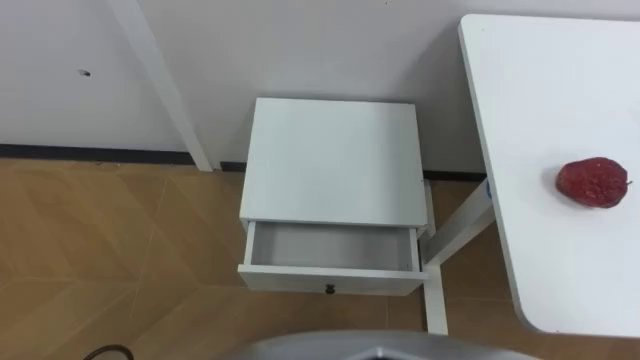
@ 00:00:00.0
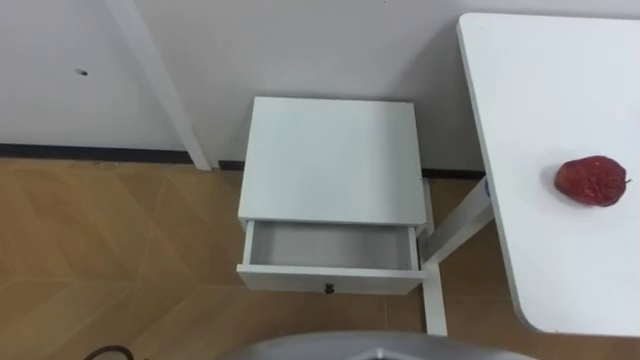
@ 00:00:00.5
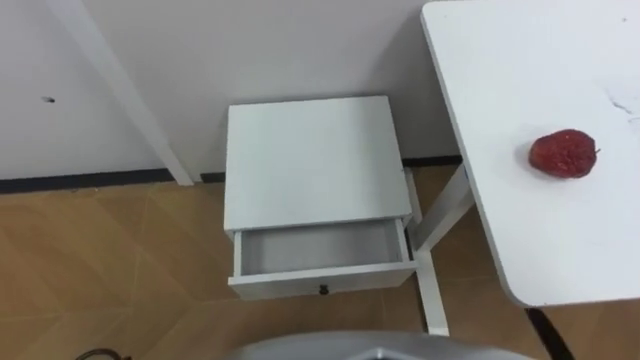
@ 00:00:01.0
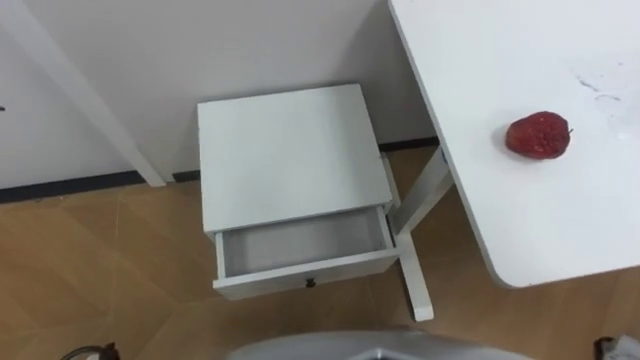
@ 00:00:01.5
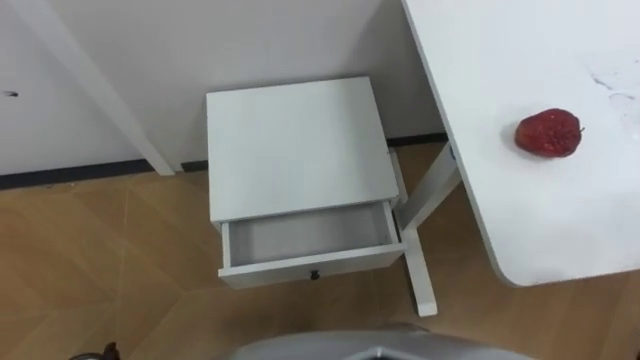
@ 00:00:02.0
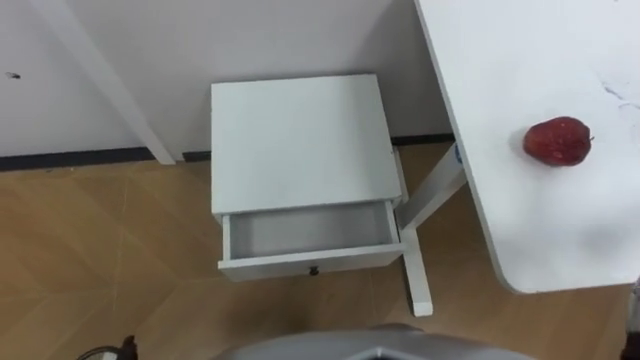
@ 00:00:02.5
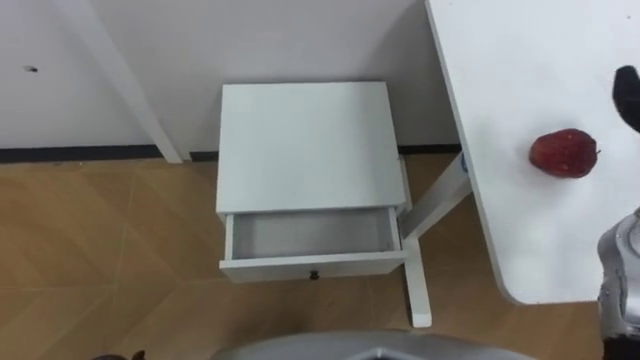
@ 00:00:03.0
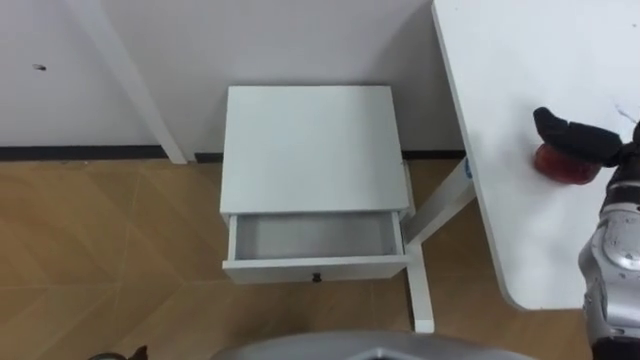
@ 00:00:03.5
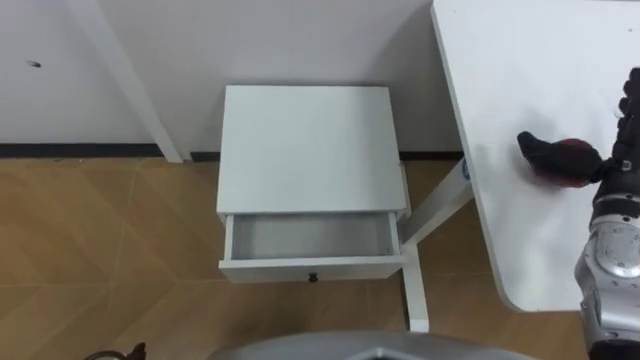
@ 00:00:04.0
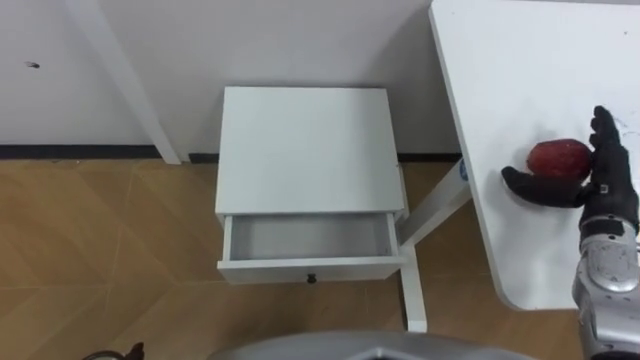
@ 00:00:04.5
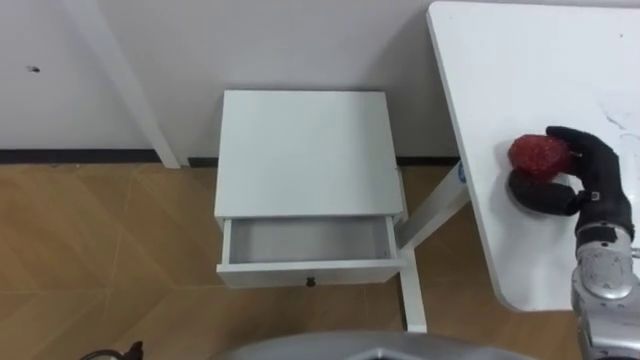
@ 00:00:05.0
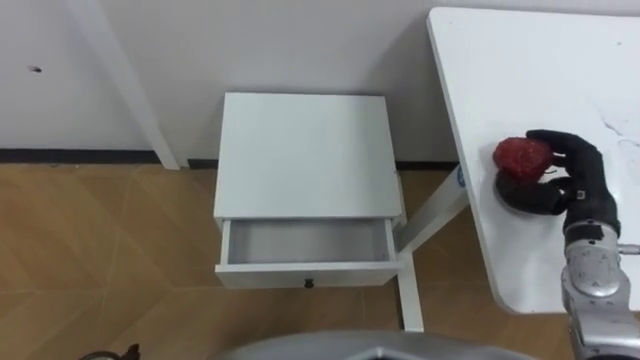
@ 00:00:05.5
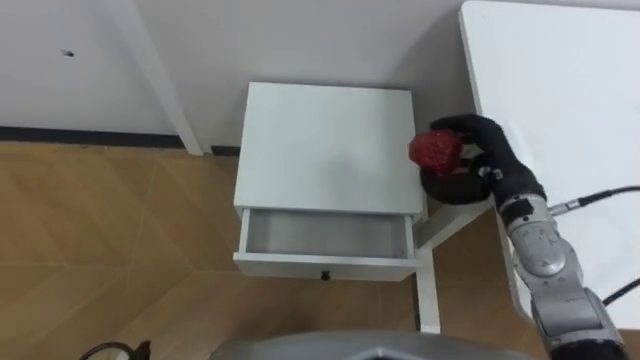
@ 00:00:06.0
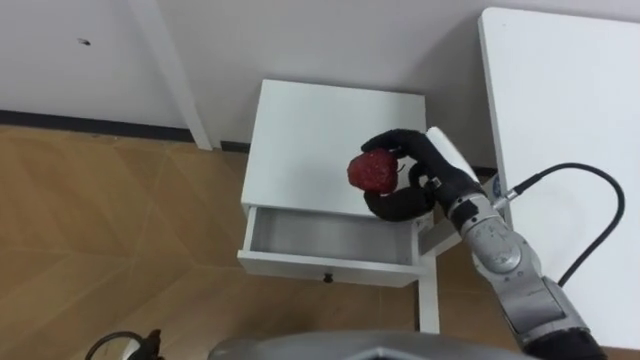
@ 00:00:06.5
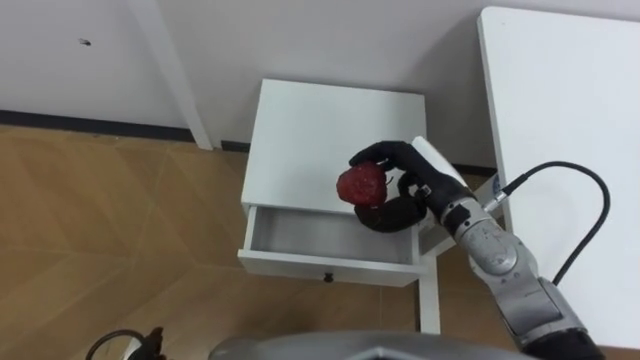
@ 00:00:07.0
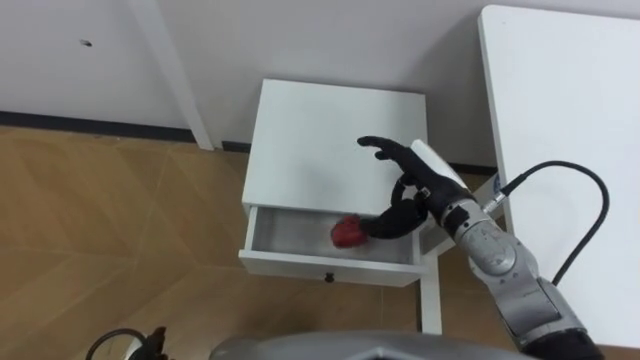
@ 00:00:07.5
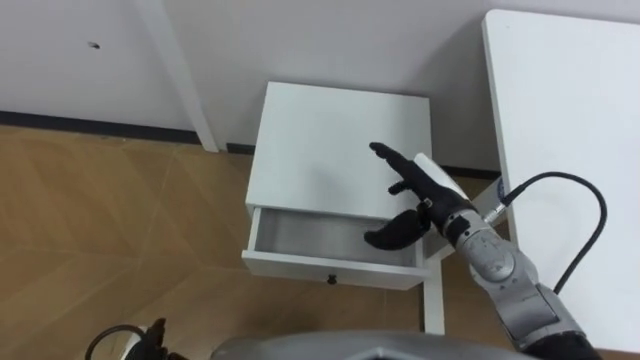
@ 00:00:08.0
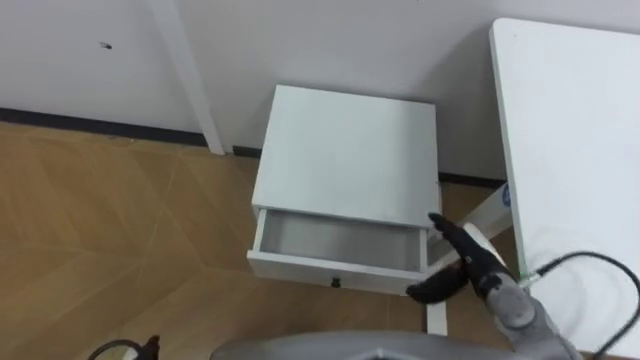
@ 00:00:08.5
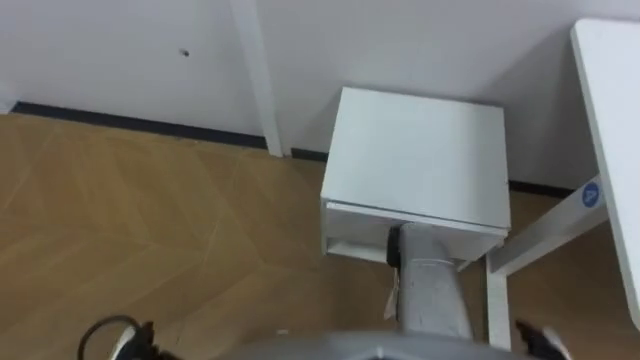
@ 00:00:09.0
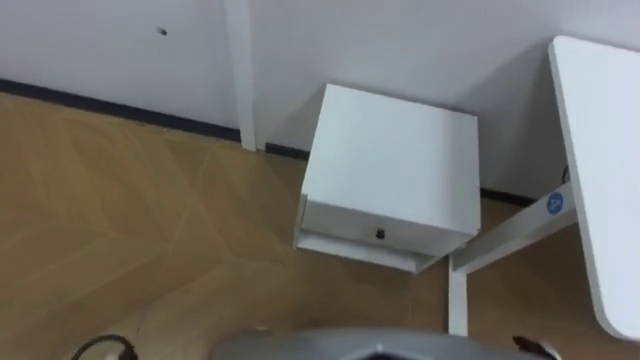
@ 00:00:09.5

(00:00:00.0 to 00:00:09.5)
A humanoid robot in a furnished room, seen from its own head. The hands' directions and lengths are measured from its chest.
Task of the whole recording: Pick up the apple from the table, put it in the drawer, and close the drawer with leg.
00:00:04.0 - 00:00:05.5: The right hand changes place by about 5 cm, and closes up.
00:00:05.5 - 00:00:07.5: The right hand moves to the left, approximately 20 cm.

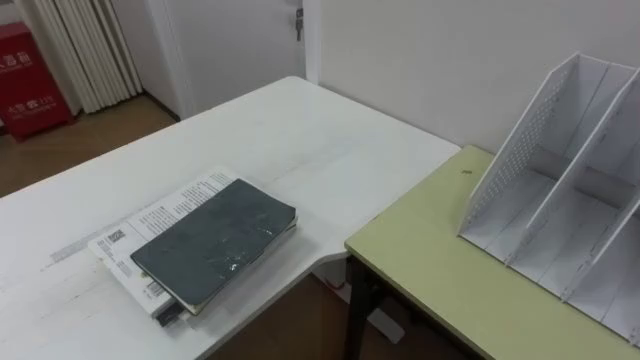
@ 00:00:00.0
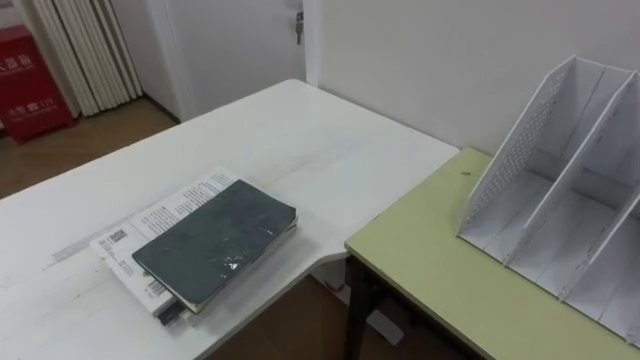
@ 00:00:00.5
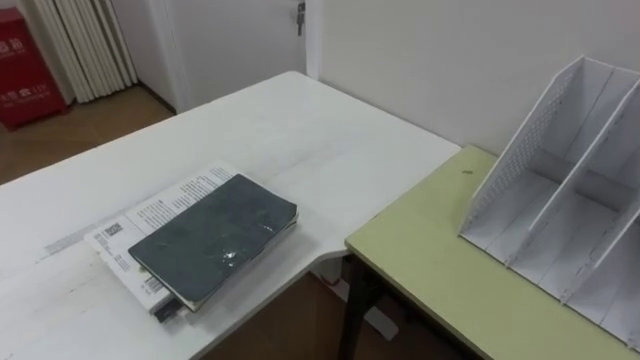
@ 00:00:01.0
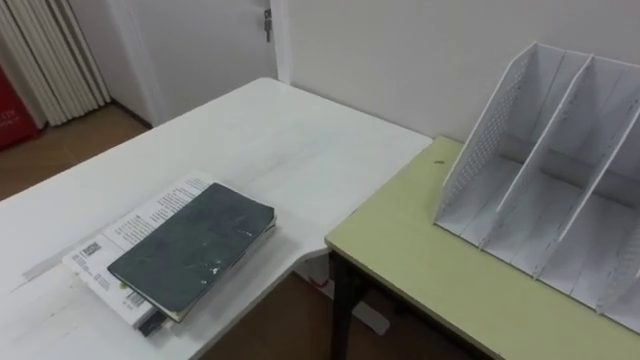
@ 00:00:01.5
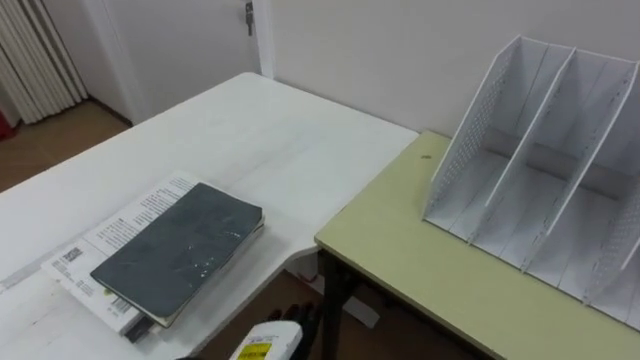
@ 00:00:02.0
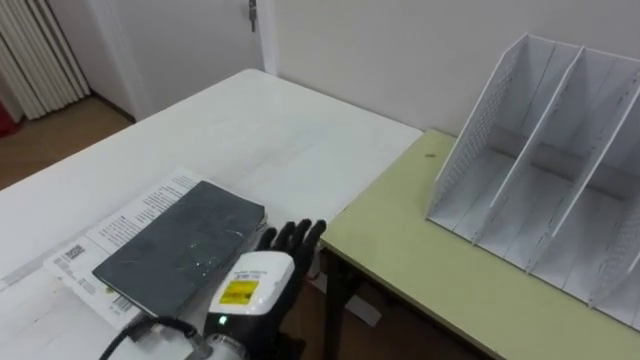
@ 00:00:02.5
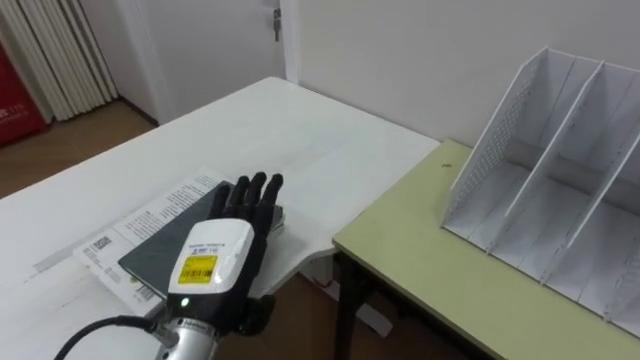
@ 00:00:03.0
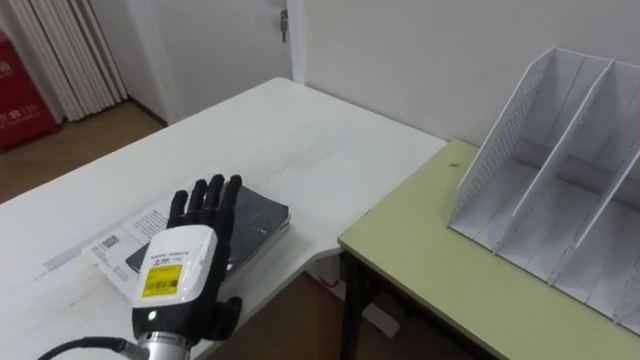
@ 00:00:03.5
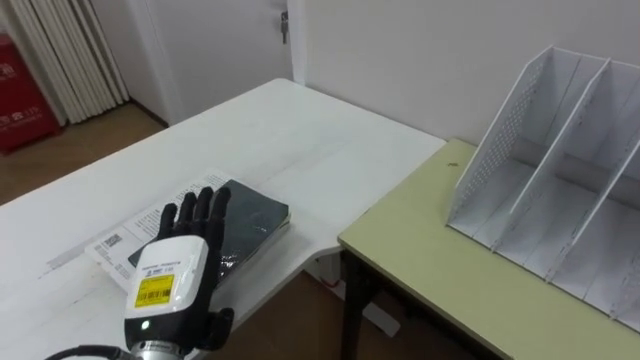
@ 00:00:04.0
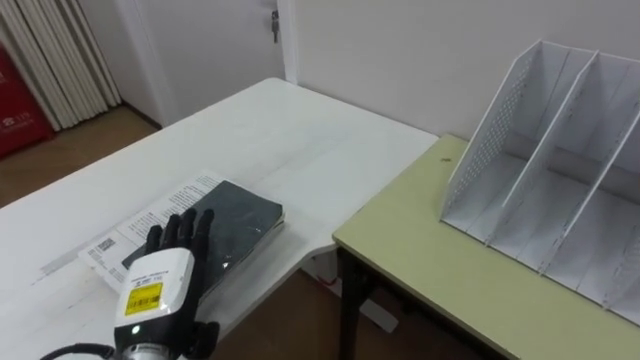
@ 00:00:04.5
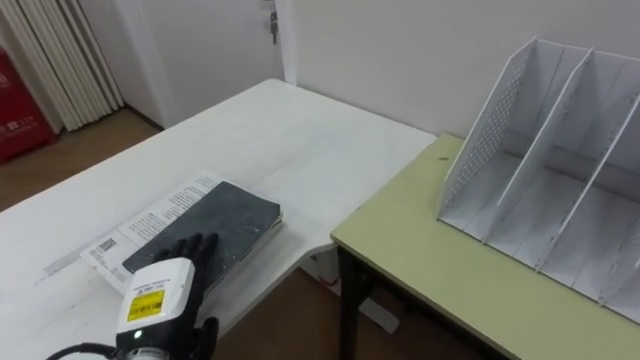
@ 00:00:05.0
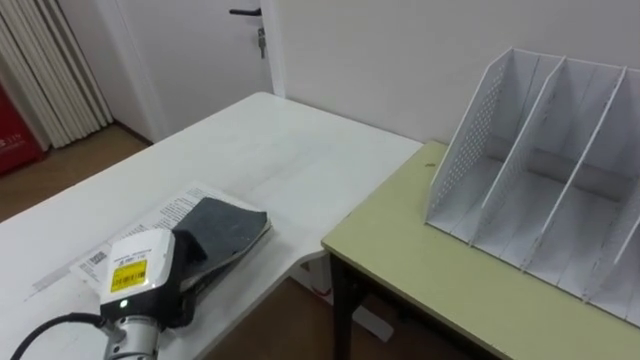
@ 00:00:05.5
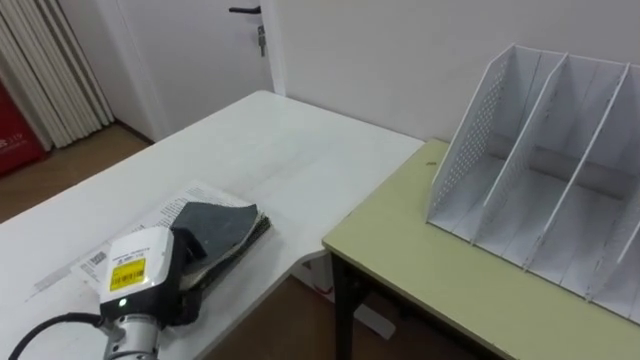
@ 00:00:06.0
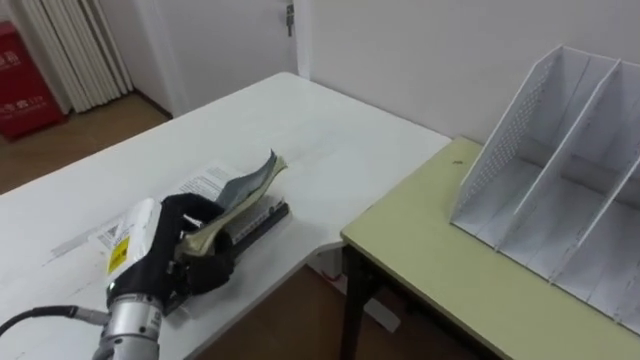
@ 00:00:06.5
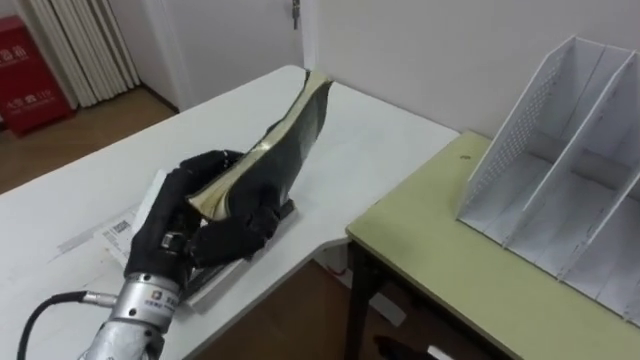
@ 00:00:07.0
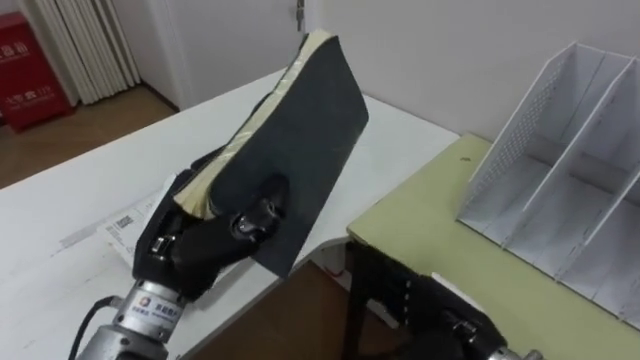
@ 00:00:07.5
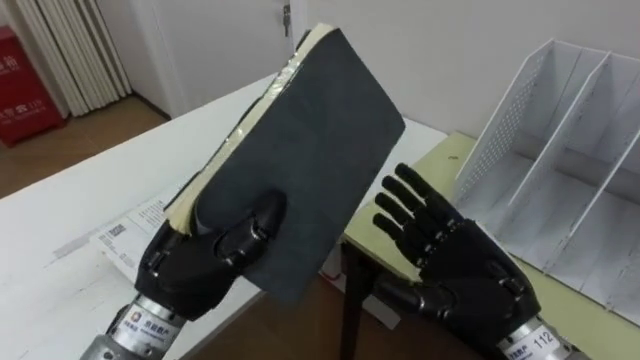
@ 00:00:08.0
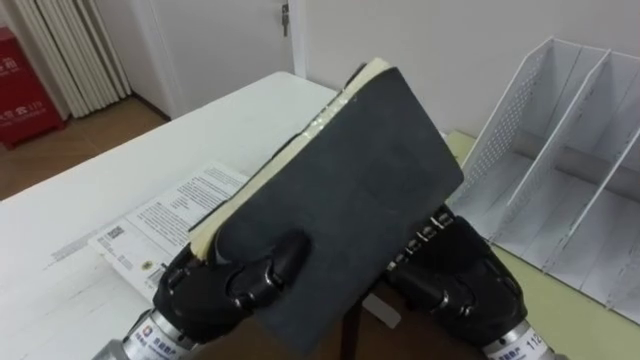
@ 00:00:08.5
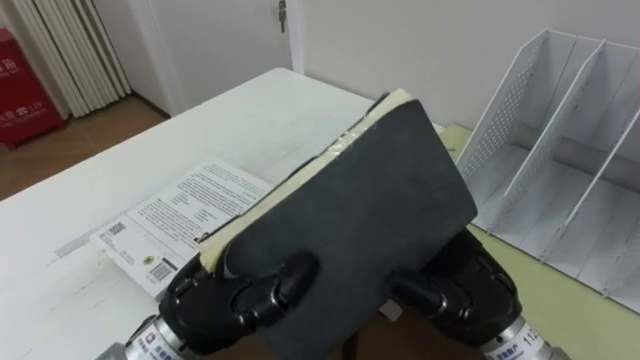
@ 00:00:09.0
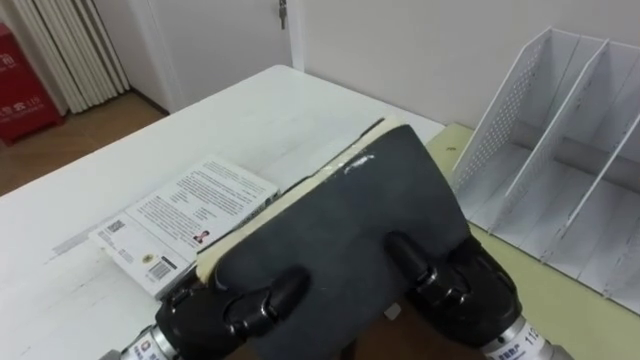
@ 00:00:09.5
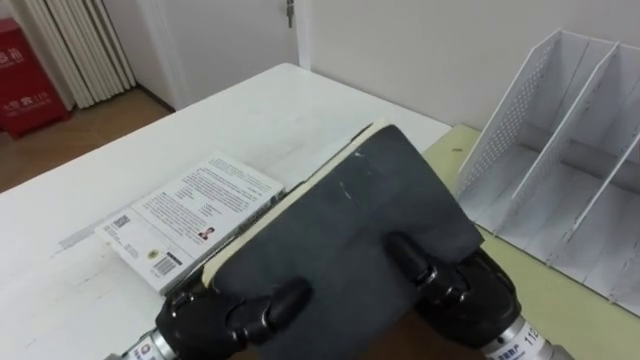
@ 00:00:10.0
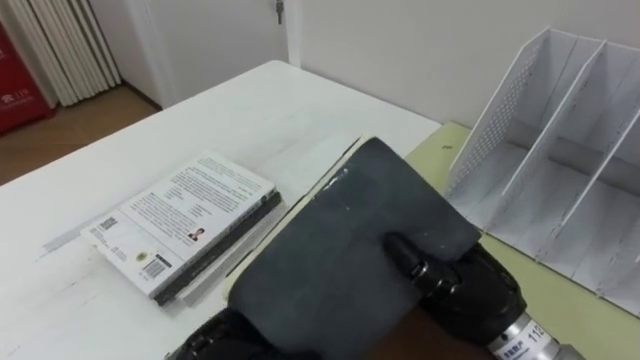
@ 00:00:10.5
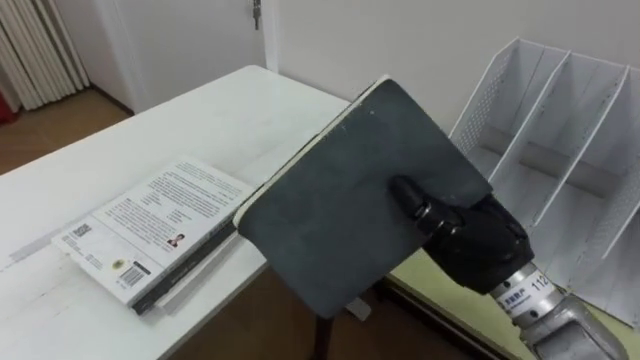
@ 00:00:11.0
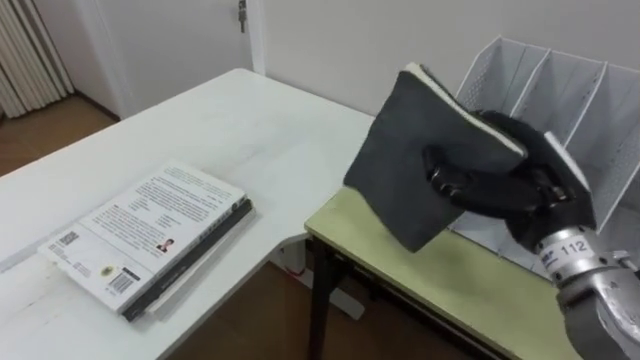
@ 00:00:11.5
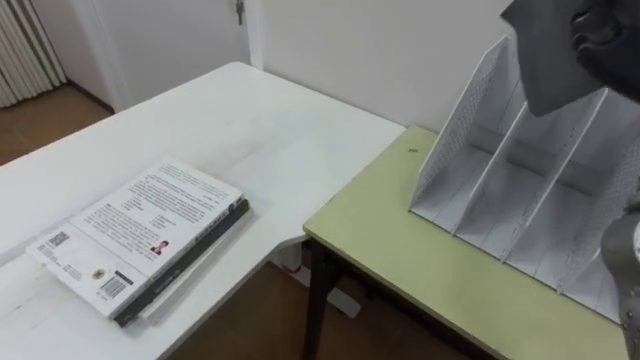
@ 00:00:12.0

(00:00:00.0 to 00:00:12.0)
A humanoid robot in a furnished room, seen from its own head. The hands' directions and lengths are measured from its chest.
Task of the whole recording: Put the books on the table onto the bookshelf.
00:00:02.0 - 00:00:04.0: The left hand moves upward and to the left, about 15 cm.
00:00:04.0 - 00:00:06.0: The left hand moves roughly 5 cm, and closes.
00:00:06.0 - 00:00:08.0: The left hand is displaced upward and to the right by some 15 cm.
00:00:08.0 - 00:00:10.0: The right hand closes, while the left hand shifts by roughly 5 cm.
